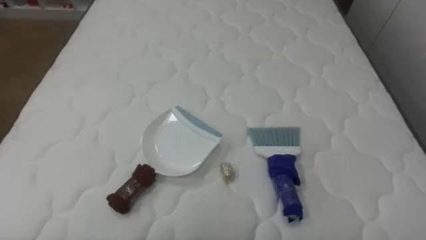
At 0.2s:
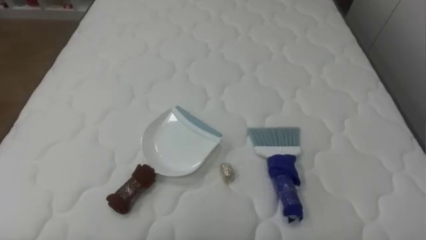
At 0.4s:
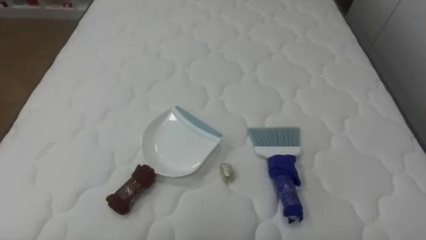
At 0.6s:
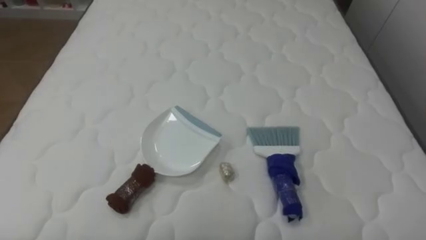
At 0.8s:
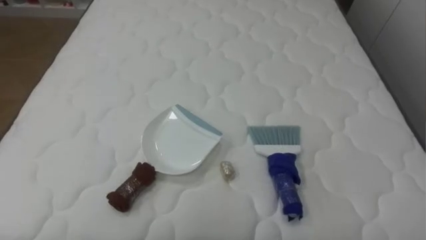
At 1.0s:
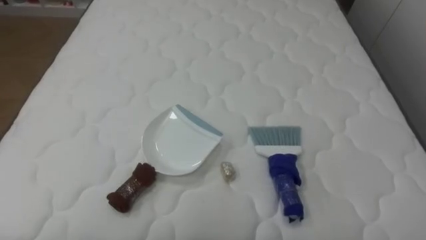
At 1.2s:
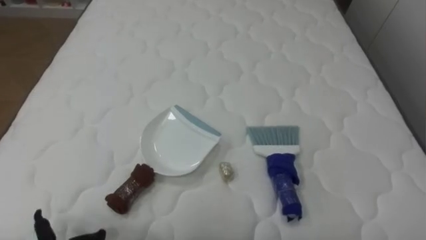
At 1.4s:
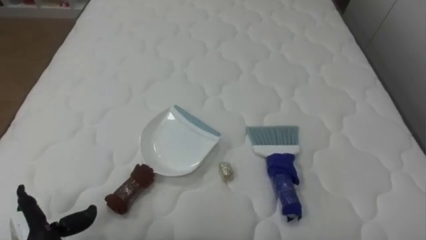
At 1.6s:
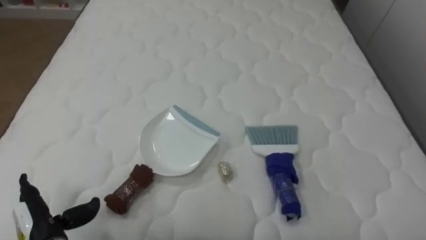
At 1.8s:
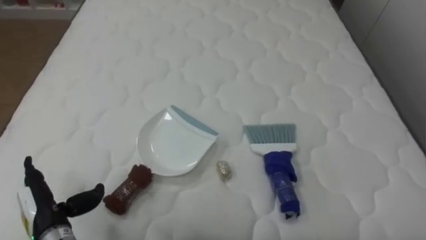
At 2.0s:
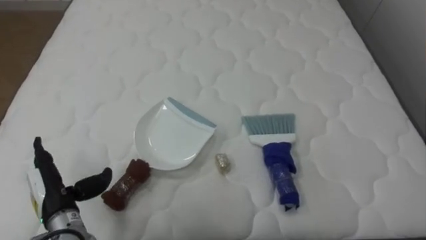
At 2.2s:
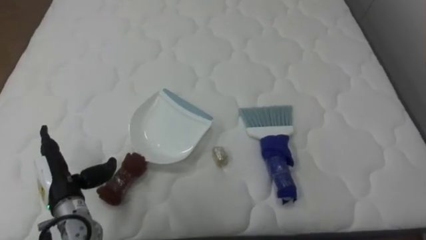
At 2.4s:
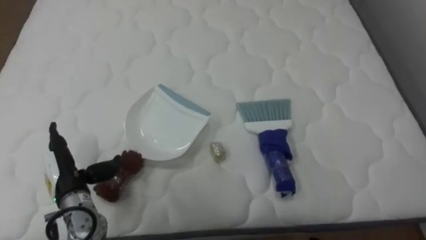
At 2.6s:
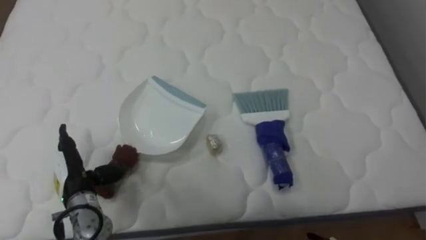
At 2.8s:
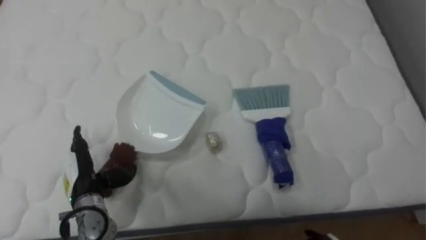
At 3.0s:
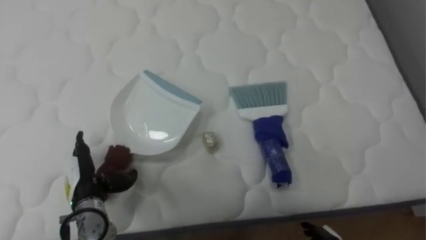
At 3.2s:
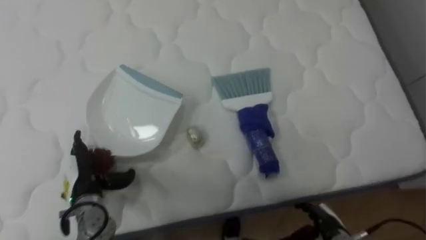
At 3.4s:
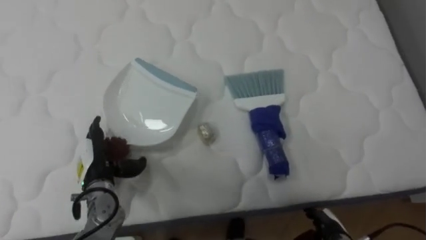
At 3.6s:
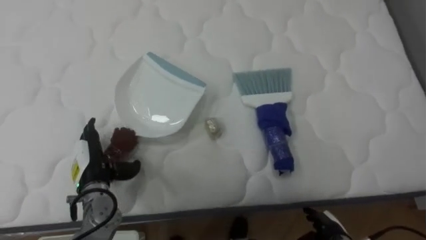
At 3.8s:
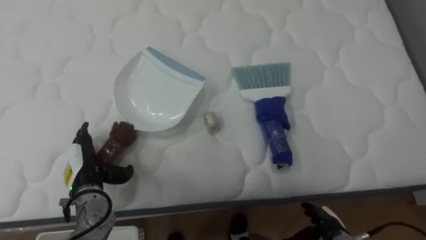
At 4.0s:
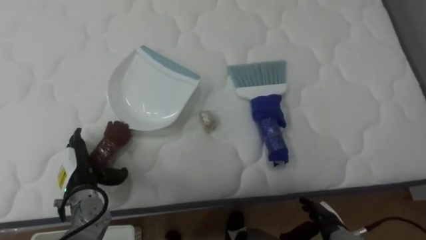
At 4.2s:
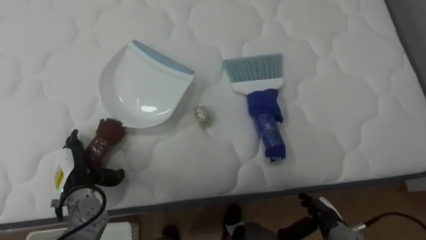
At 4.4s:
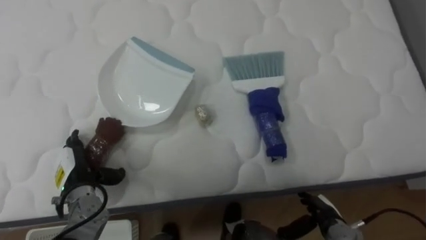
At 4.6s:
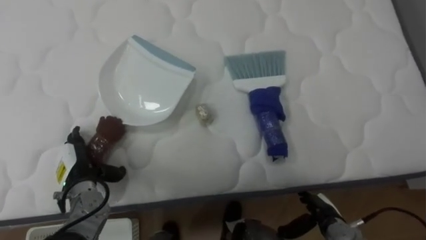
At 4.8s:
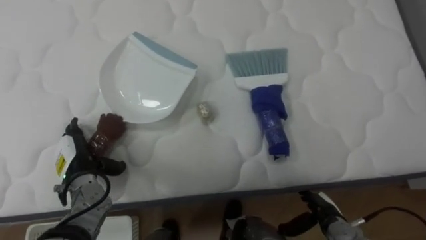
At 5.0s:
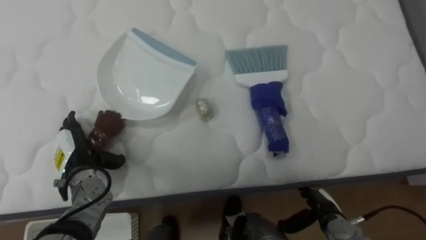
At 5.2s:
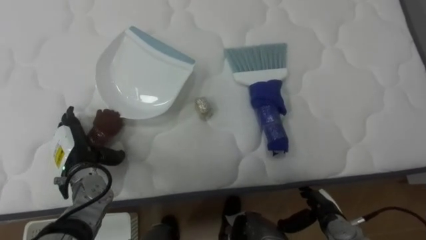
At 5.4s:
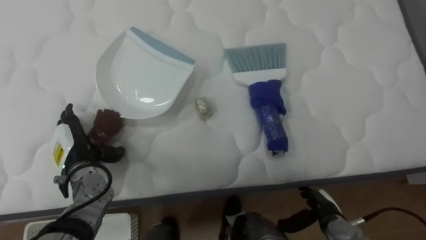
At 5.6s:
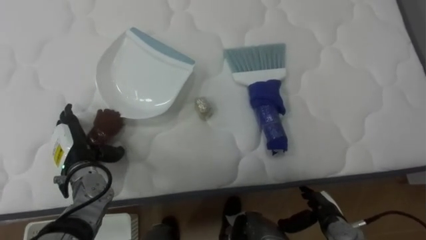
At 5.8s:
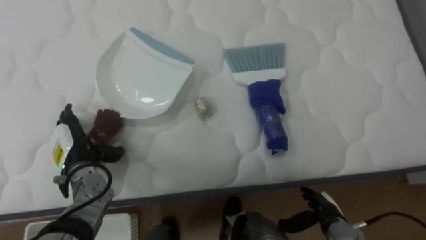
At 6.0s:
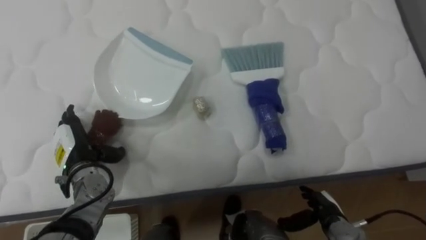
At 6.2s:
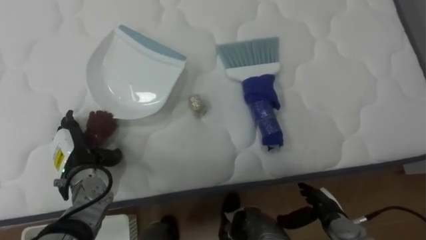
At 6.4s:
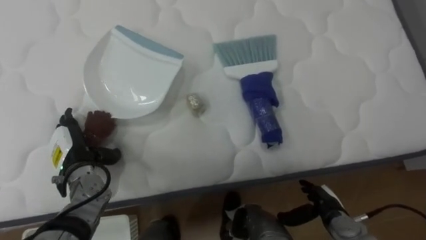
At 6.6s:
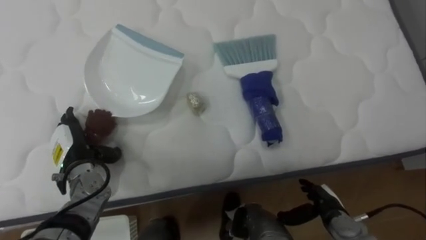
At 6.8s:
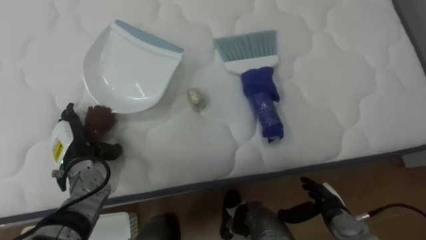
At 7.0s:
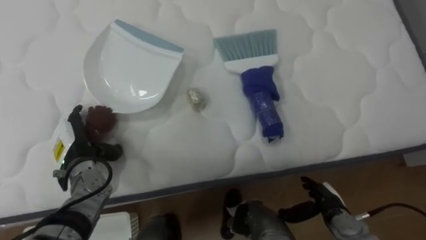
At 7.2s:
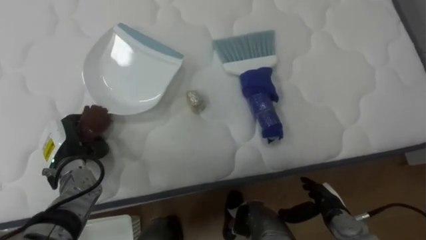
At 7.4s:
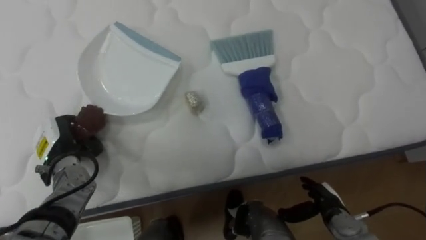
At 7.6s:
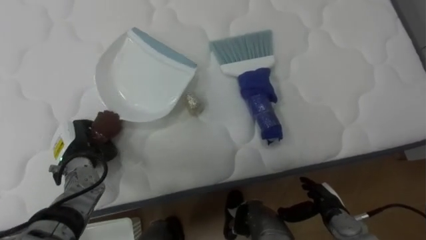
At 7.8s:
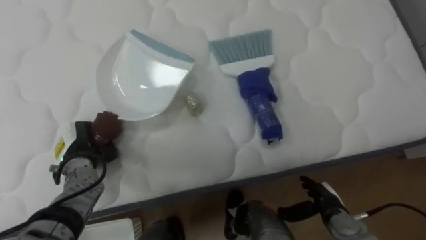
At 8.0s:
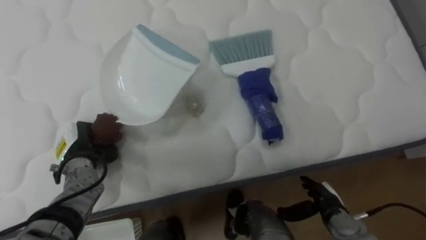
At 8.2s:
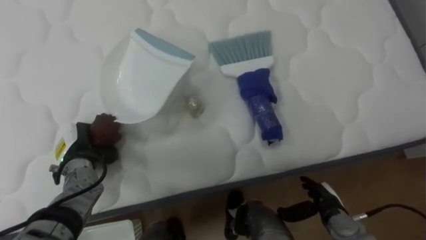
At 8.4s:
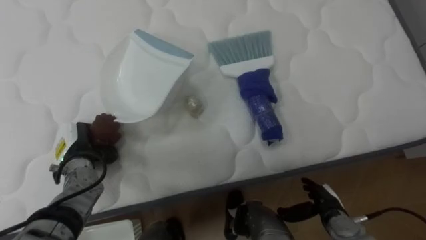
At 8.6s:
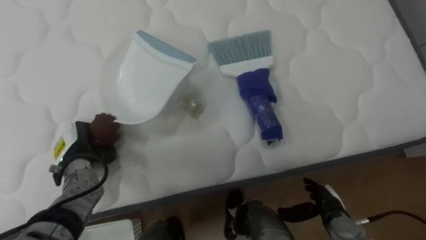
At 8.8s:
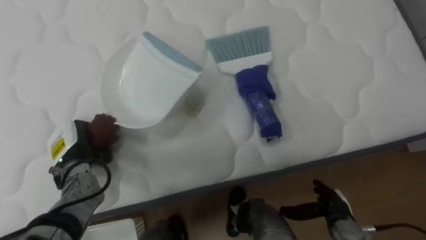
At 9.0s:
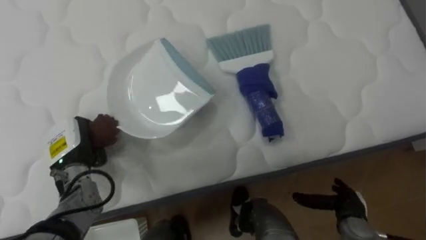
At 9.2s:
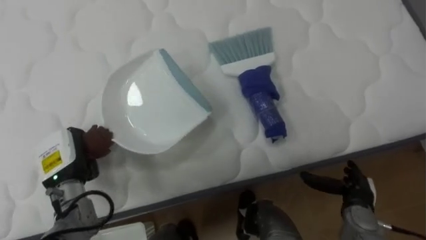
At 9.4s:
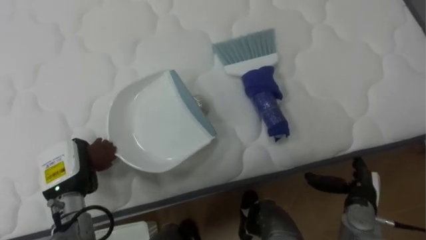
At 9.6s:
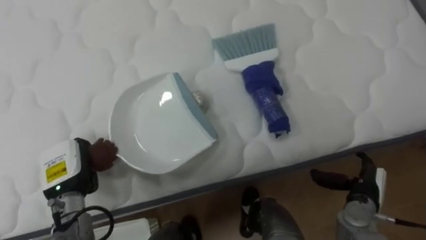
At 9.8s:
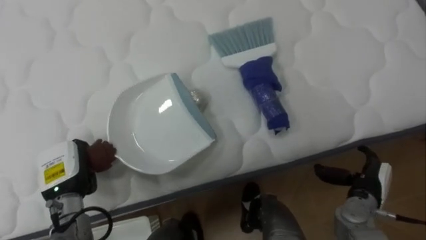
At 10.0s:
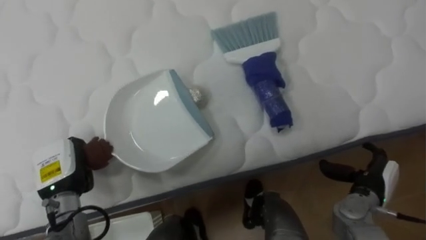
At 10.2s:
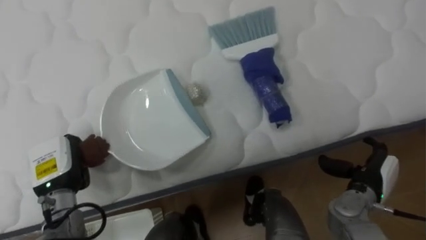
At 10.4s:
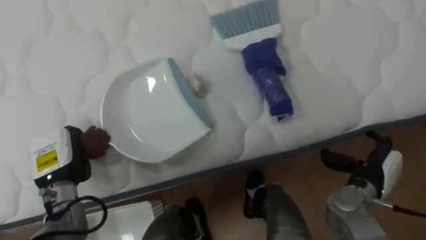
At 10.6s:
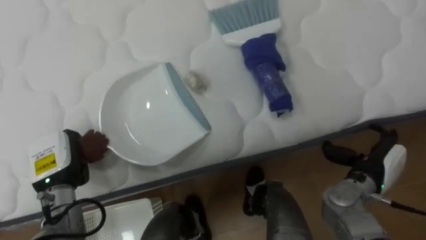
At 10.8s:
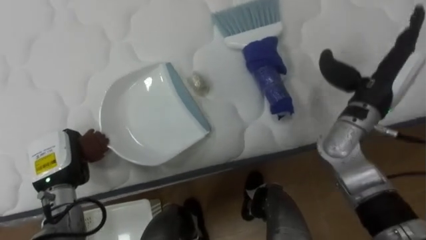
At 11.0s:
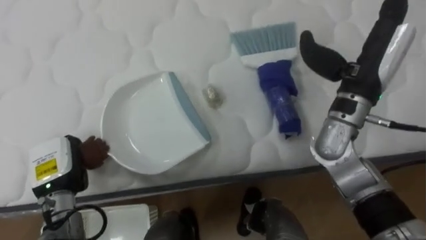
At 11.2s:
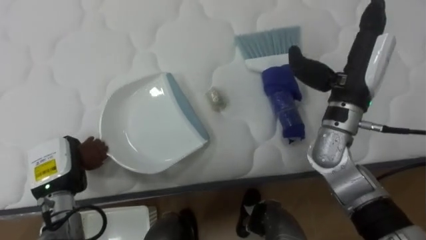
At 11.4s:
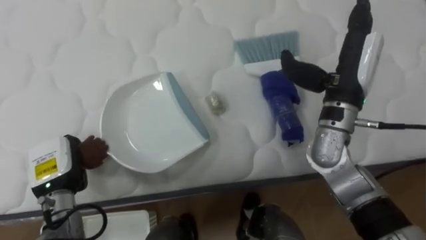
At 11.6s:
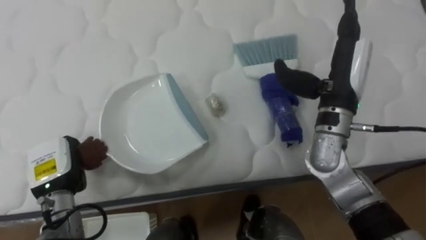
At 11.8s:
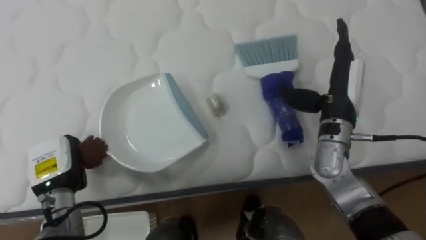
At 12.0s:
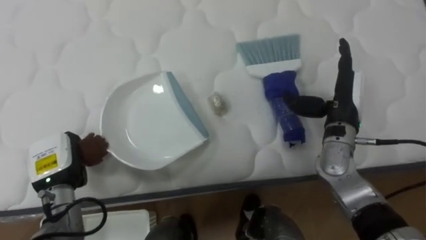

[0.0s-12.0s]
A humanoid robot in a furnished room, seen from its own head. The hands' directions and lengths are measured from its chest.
Task of the whole recording: Pick up the brush on your right and the dustpan on your left. Use the brush to sweep the crumpled paper on the bed into the dustpan, then turn left and empty it into the basket.
1.6s to 3.0s: The left hand travels forward and to the right by some 10 cm.
4.4s to 6.0s: The left hand ends up some 5 cm from where it was.
6.0s to 7.6s: The left hand closes its fingers.
9.0s to 10.4s: The right hand goes some 10 cm upward.
10.4s to 12.0s: The right hand shifts about 15 cm upward, forward and to the left.

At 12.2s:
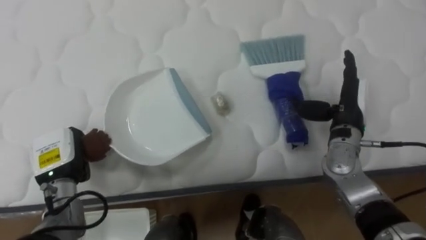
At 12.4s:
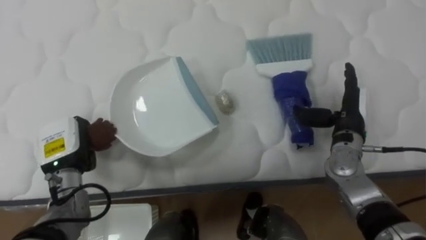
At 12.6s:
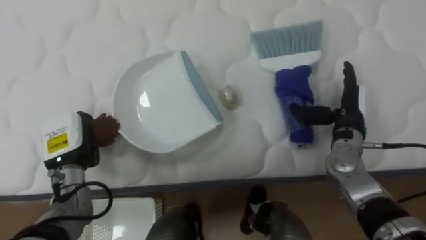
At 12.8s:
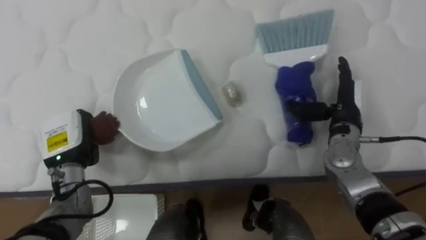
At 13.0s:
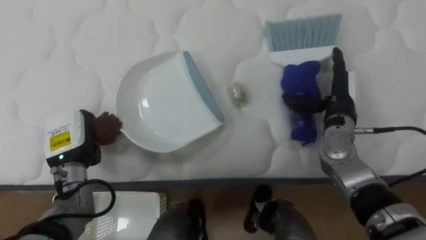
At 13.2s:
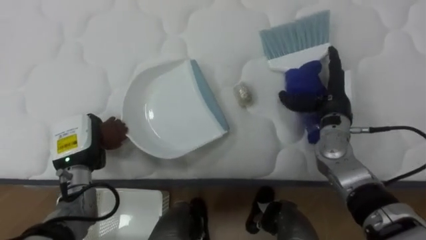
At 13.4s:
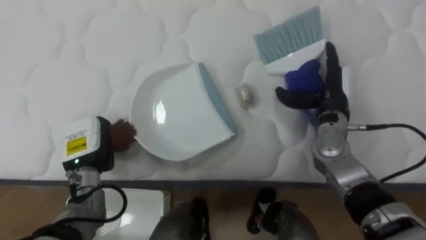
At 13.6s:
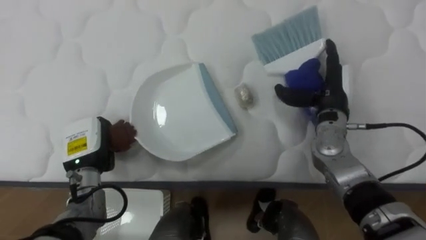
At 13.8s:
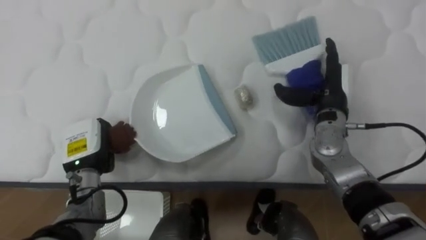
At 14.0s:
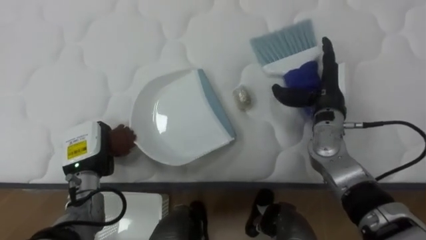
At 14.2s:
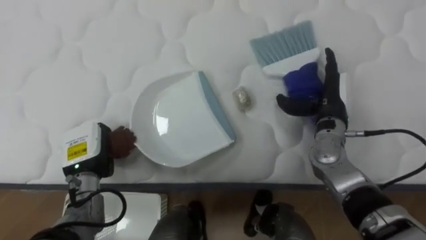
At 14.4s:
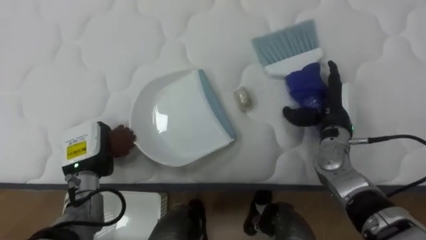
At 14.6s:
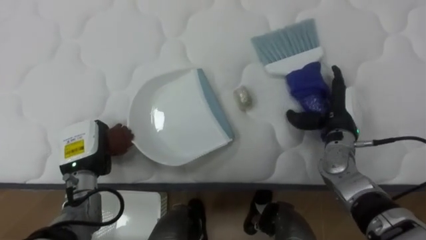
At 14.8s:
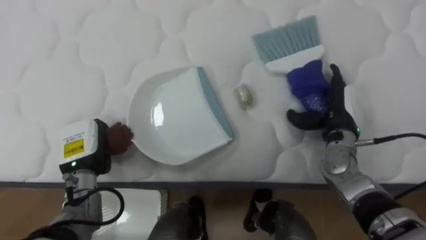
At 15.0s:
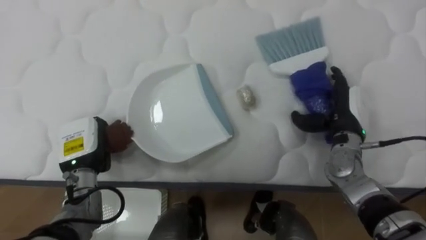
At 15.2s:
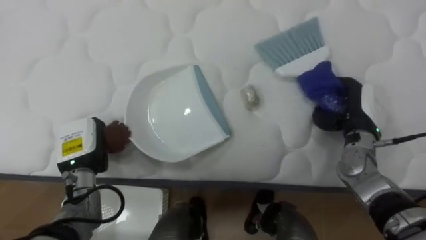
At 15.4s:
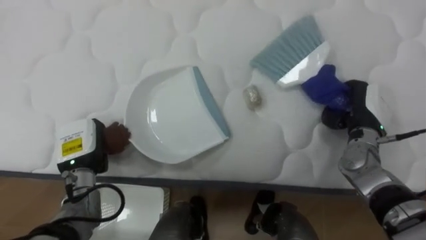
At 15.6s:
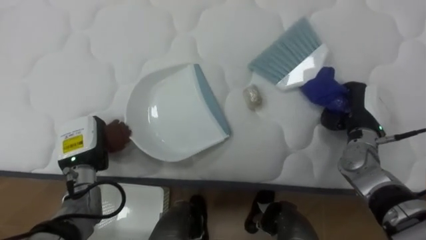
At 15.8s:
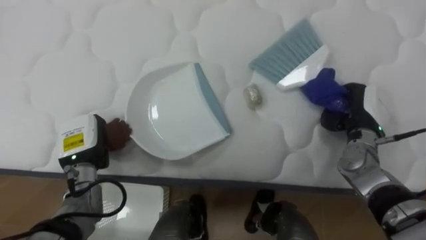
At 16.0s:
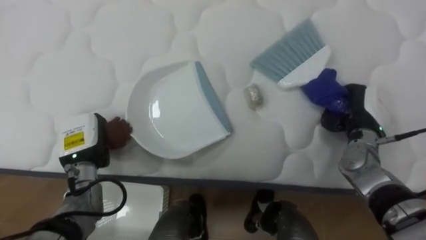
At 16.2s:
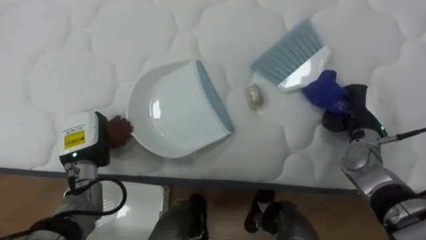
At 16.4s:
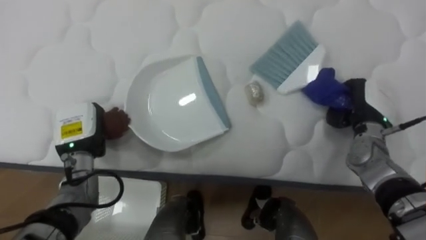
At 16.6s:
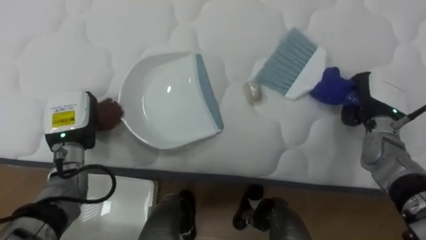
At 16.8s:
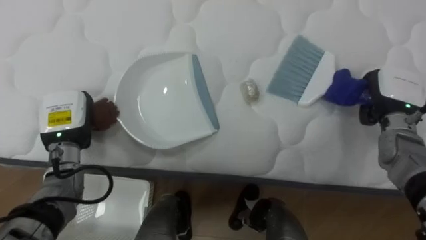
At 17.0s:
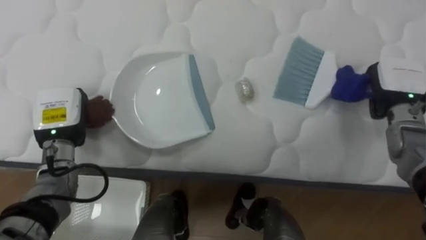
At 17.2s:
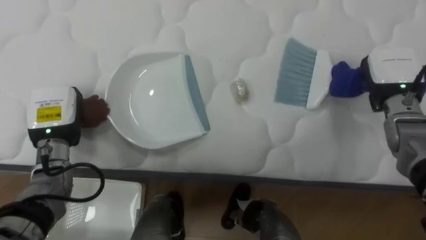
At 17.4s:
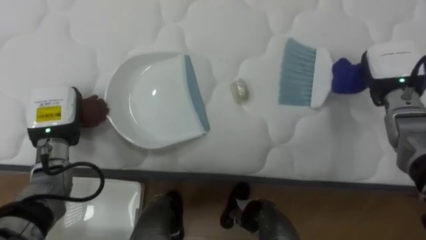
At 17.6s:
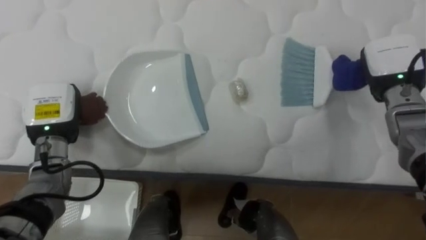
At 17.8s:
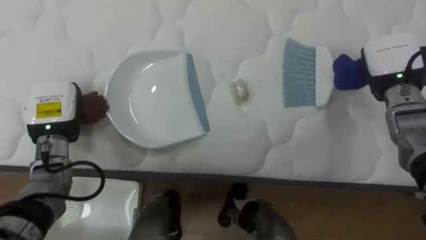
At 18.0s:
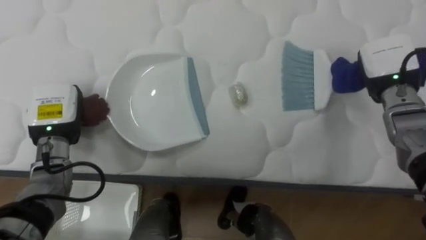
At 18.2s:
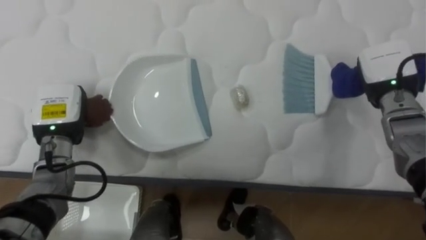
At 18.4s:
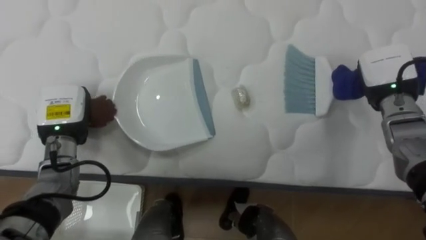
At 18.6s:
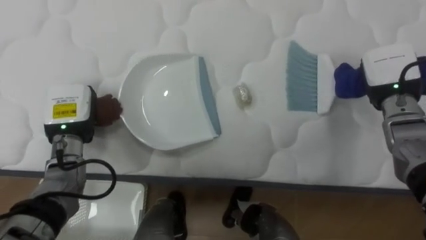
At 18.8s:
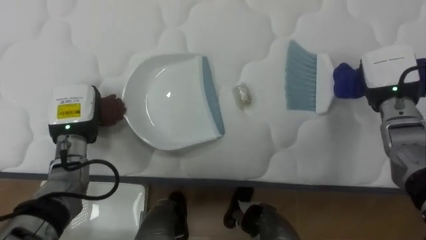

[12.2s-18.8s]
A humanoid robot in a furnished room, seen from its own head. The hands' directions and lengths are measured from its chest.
Task of the whole recording: Pick up the brush on your right and the dustpan on your left. Use the brush to sweep the crumpled paper on the bed into the dustpan, then turn left and empty it into the basket.
12.2s to 13.8s: The left hand moves approximately 5 cm.
13.8s to 15.4s: The right hand moves to the right, some 5 cm, and closes up.
15.4s to 17.2s: The two hands go roughly 5 cm upward.
